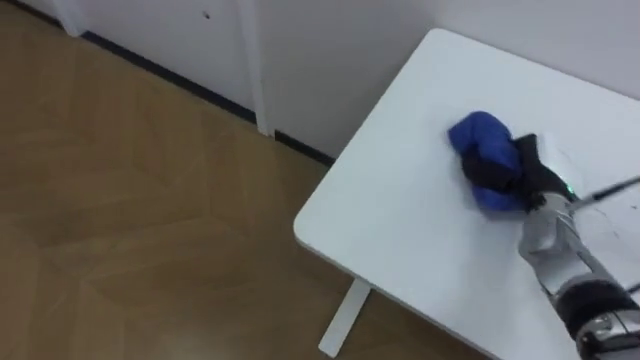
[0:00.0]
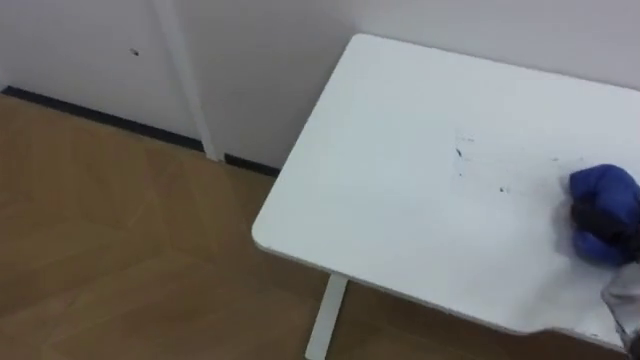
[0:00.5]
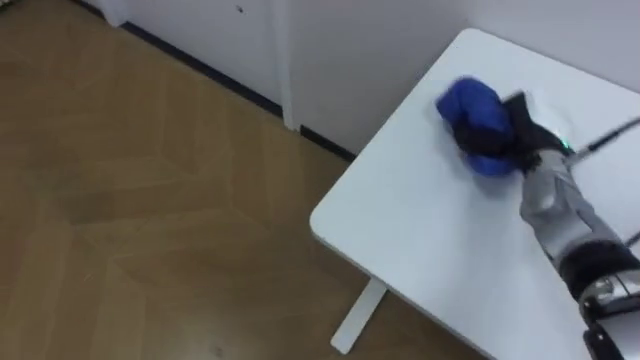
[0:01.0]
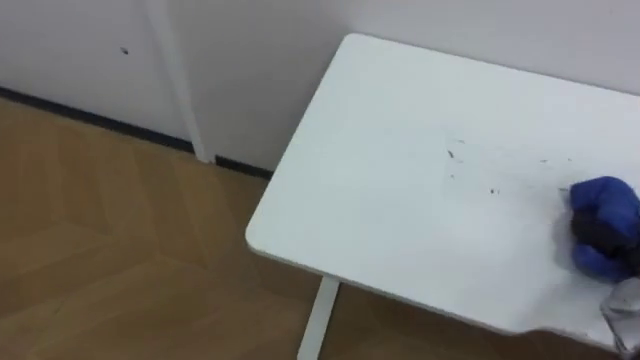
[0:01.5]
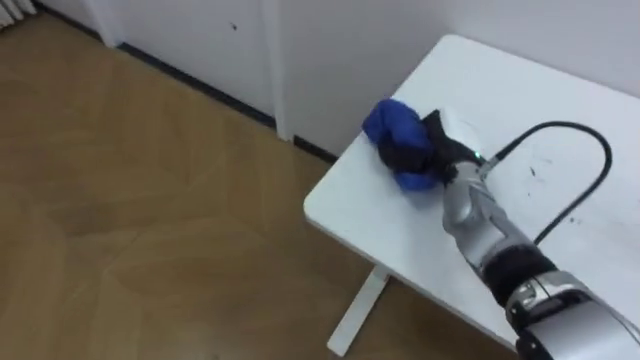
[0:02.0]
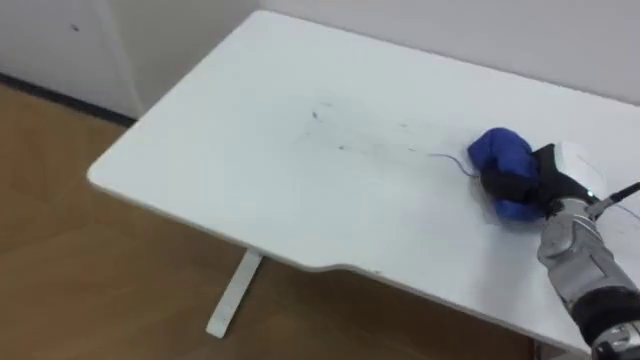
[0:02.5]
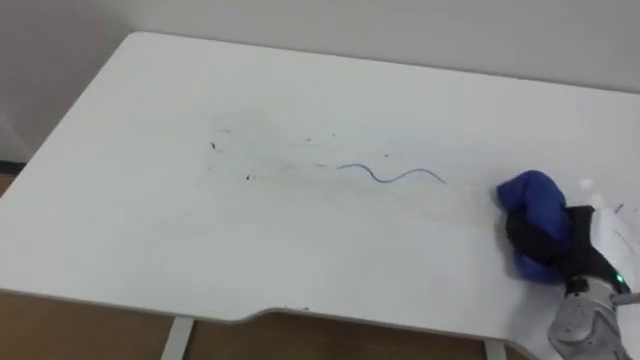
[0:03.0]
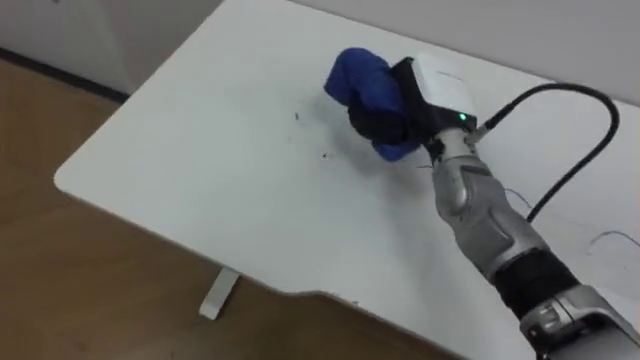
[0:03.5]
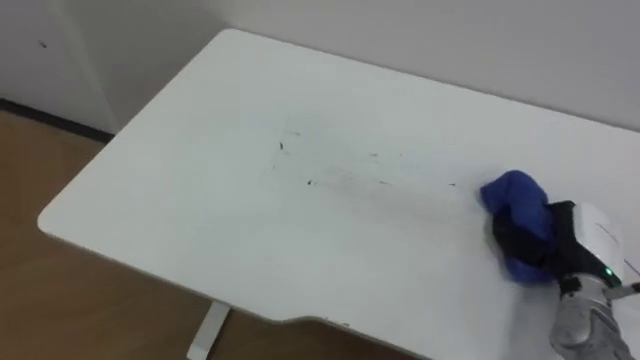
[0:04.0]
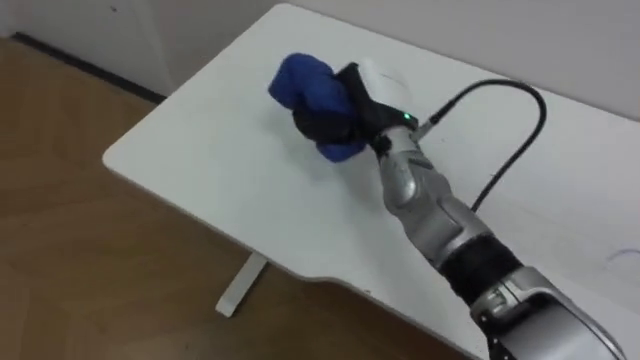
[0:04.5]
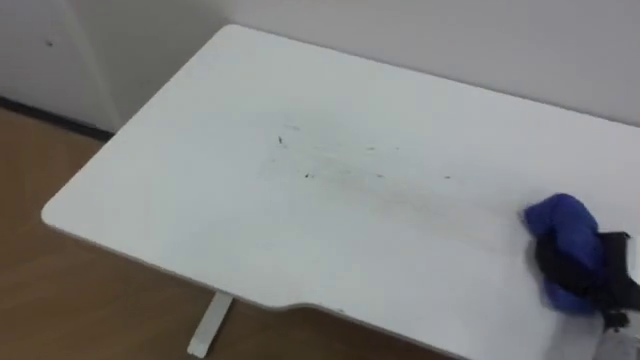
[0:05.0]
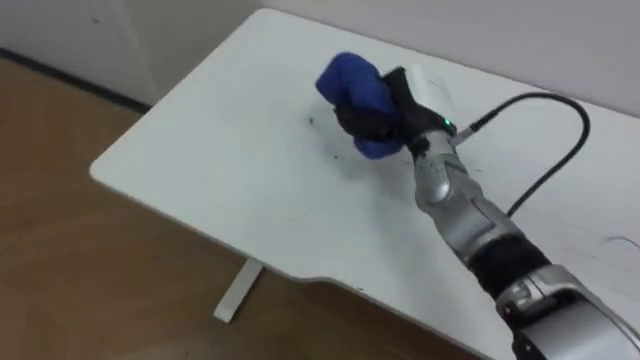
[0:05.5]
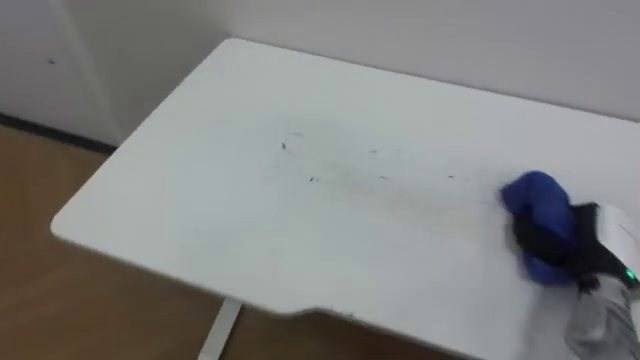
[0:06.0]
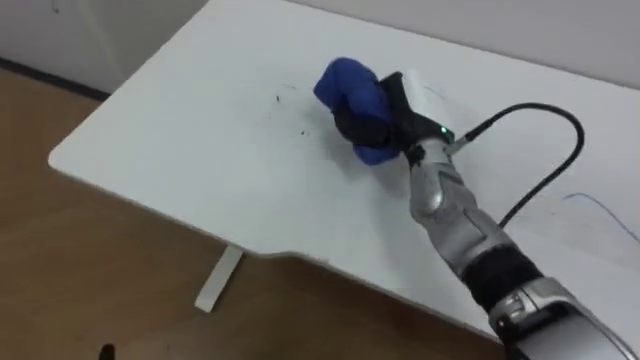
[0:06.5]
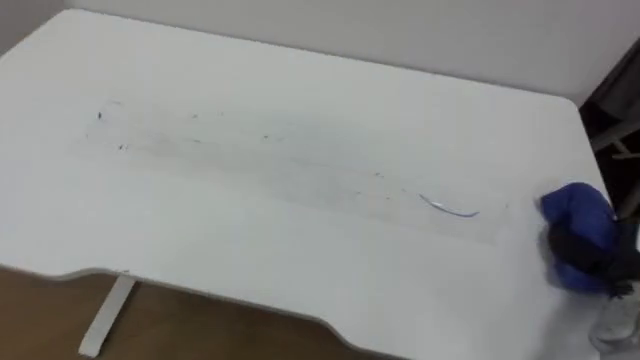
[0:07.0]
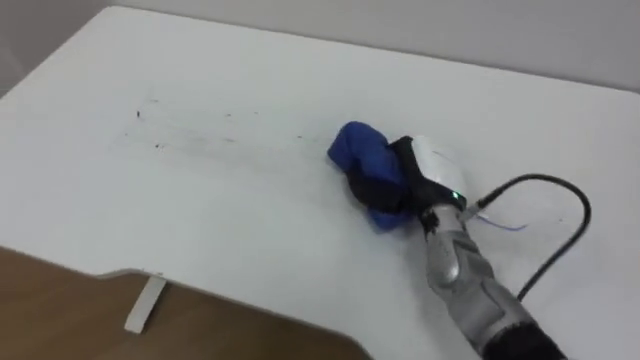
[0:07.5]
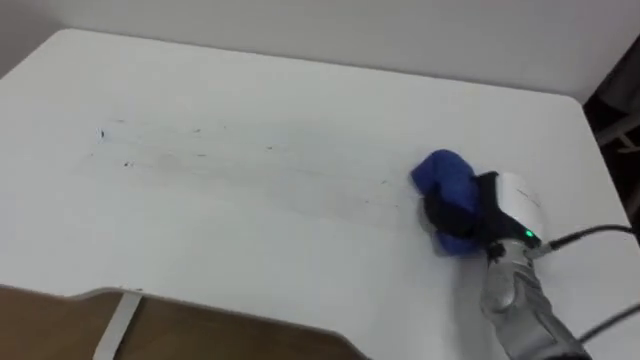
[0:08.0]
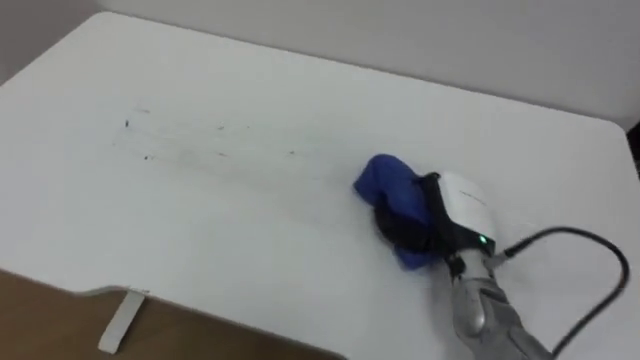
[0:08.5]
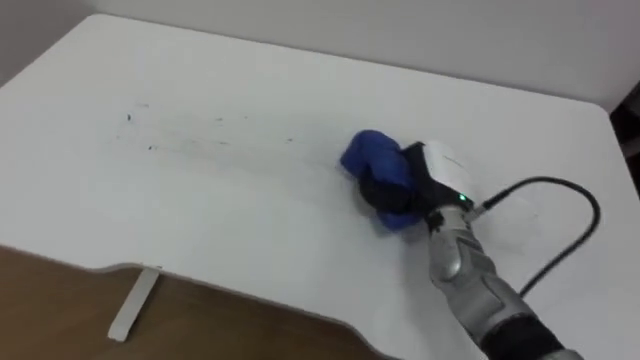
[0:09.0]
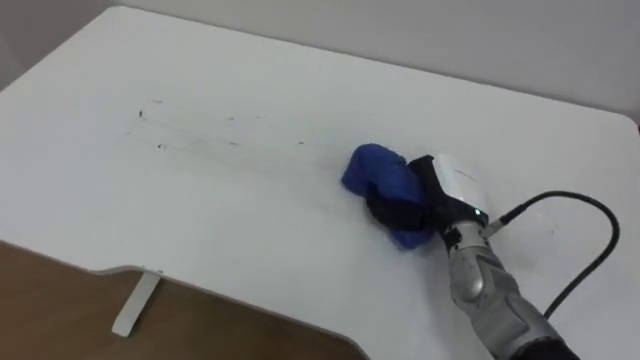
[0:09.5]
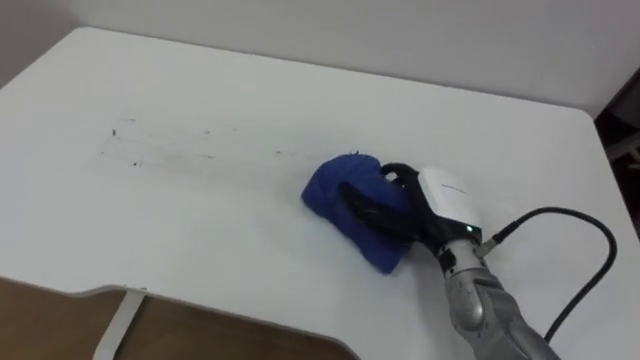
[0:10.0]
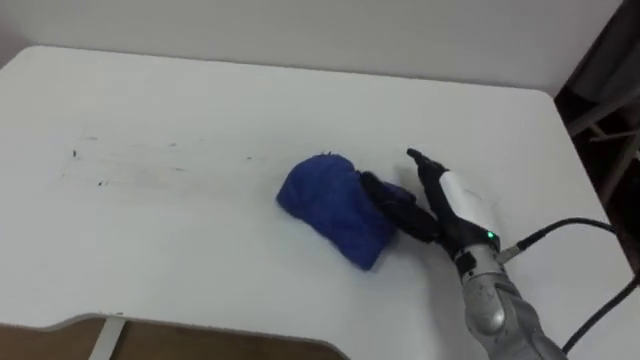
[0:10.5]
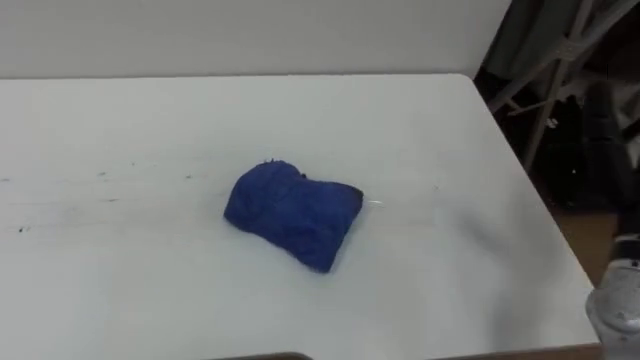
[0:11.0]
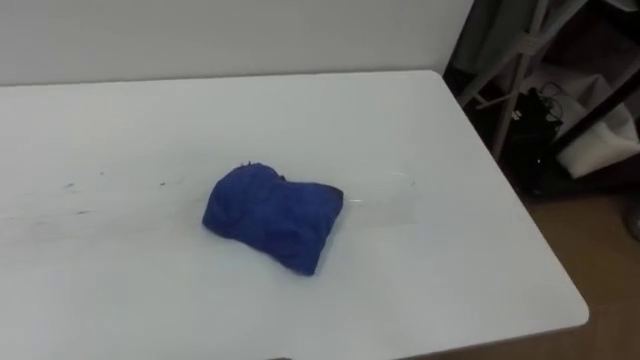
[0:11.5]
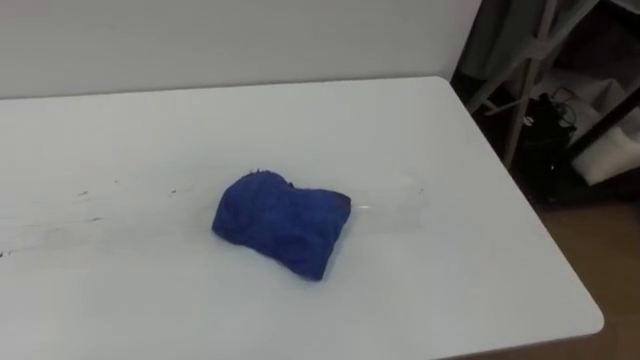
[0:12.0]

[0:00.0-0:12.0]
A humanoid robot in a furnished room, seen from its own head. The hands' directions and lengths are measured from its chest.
Task of the whole recording: Wipe the blue pen marks off the table with the rag.
0:02.0 to 0:04.0: The right hand goes left and right, about 20 cm each way, reversing 2 times.
0:04.0 to 0:06.0: The right hand goes left and right, roughly 30 cm each way, reversing 3 times.
0:06.0 to 0:08.0: The right hand moves left and right over approximately 25 cm, changing direction 3 times.
0:08.0 to 0:10.0: The right hand shifts some 10 cm to the left, and opens.

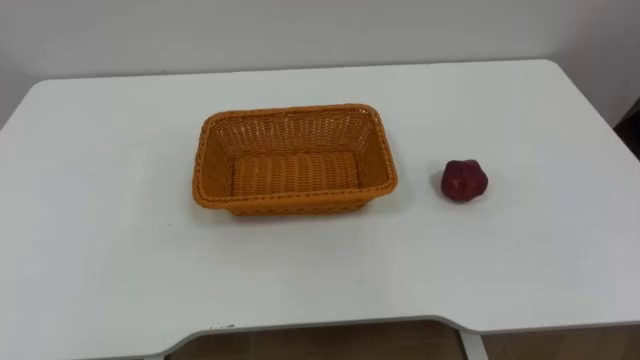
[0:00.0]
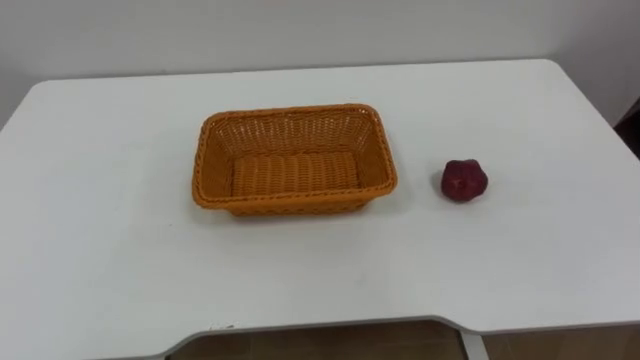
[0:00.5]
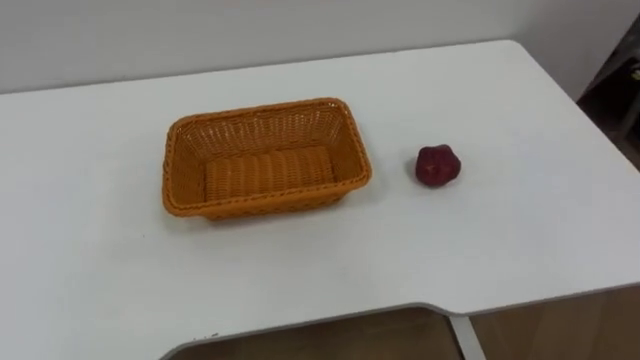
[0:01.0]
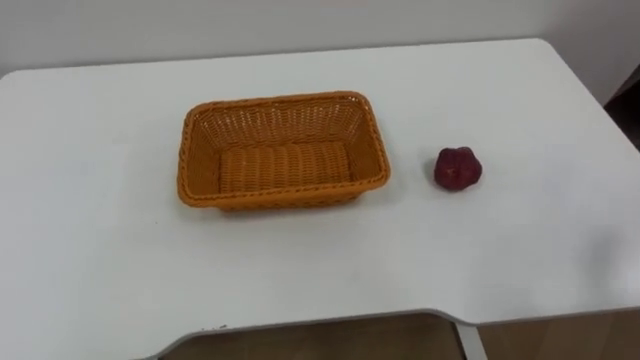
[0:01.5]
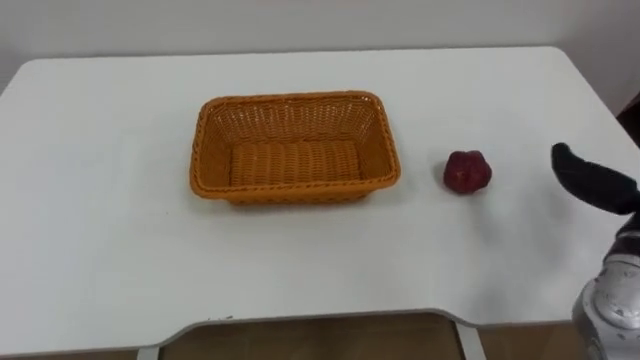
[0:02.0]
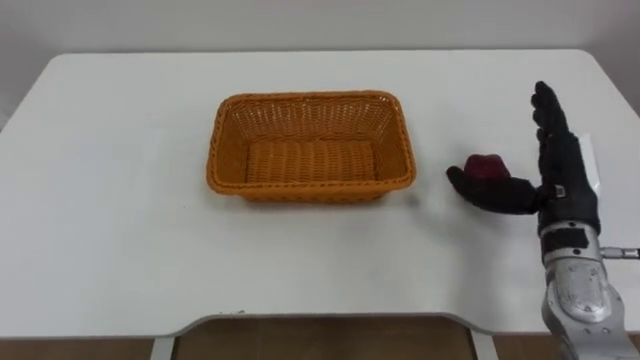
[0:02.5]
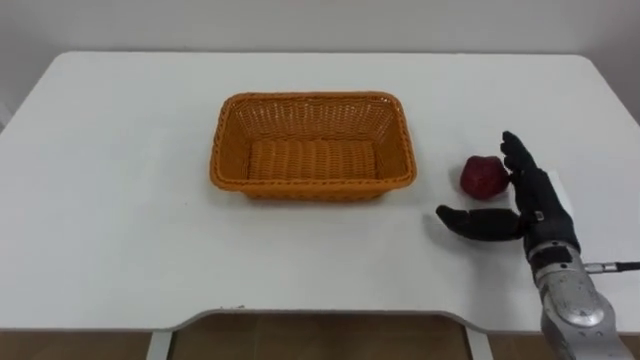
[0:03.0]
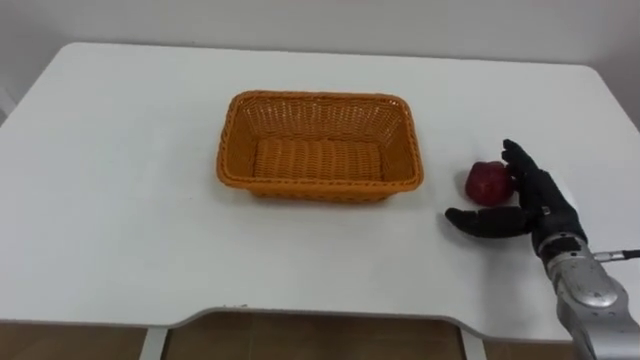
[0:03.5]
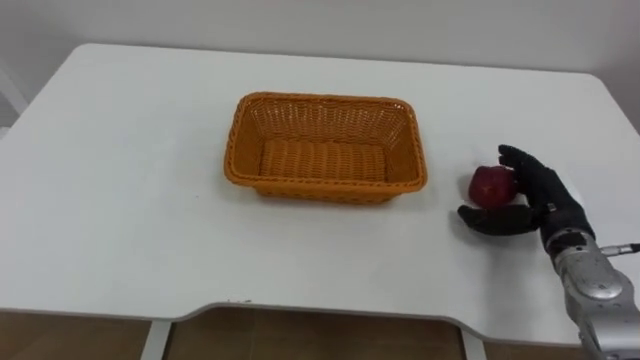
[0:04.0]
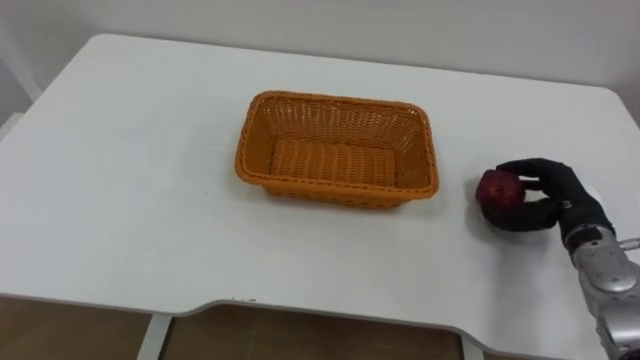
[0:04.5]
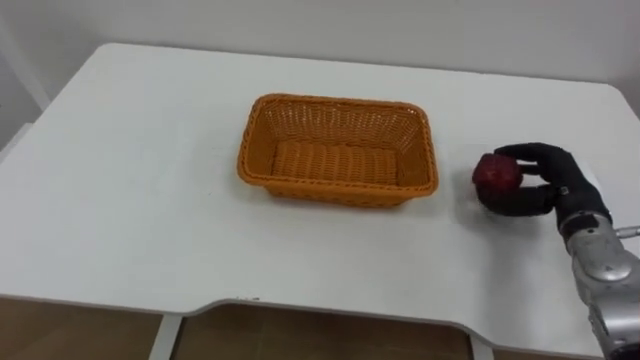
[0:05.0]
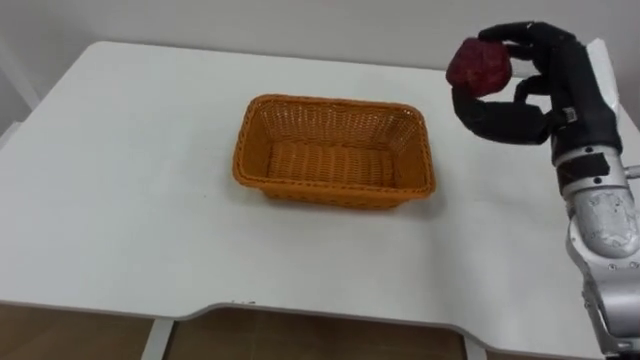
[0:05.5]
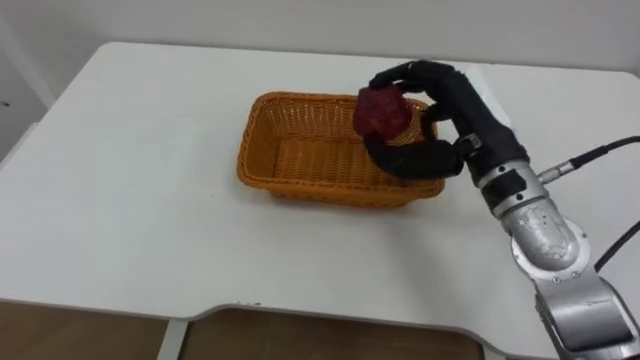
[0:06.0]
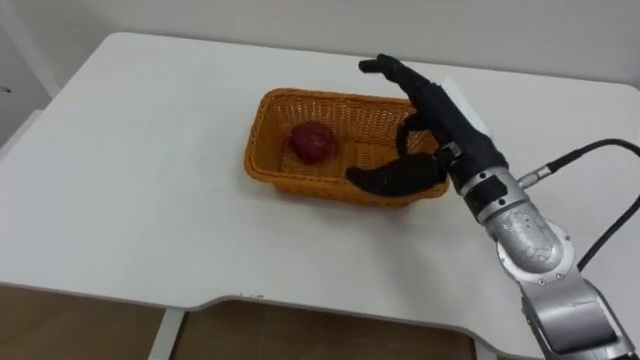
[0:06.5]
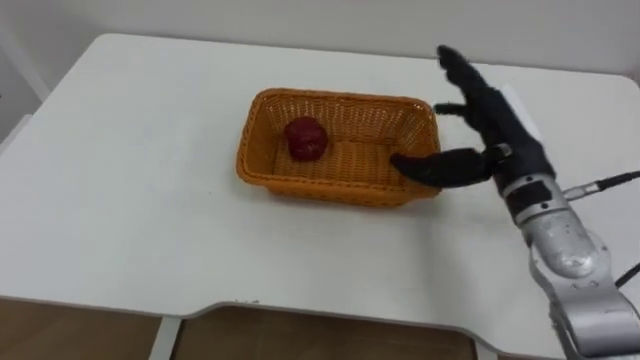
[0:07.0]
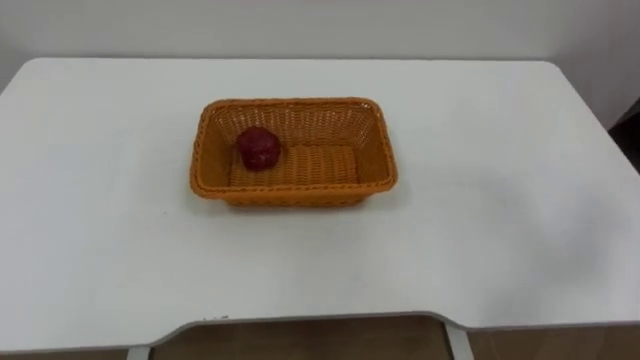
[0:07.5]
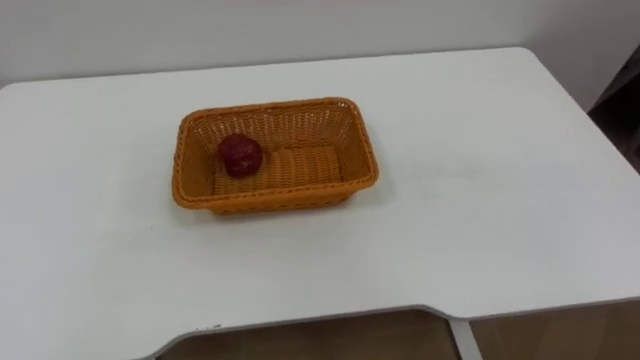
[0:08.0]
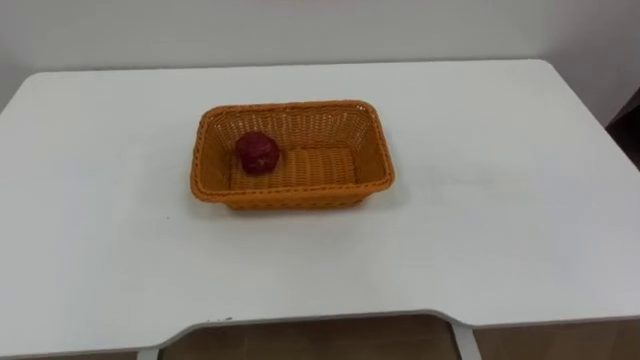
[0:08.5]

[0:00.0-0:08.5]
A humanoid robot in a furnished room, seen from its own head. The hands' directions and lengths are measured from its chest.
Task of the whole recording: Pick the apple and place it in the box.
0:04.0 to 0:06.5: The right hand travels to the left and upward by about 20 cm.
